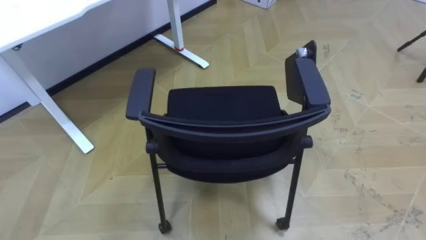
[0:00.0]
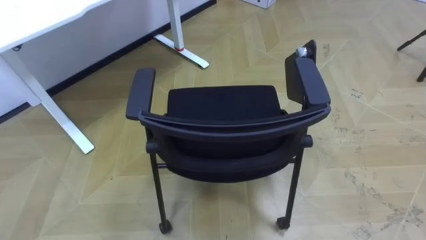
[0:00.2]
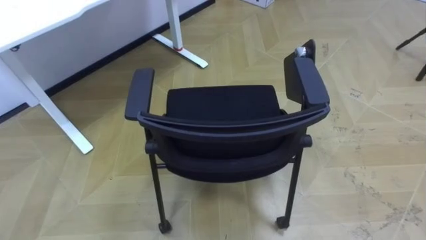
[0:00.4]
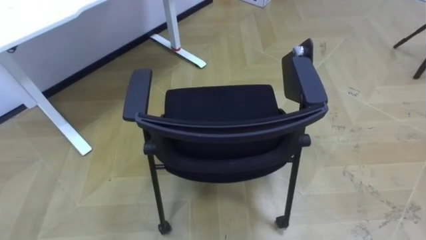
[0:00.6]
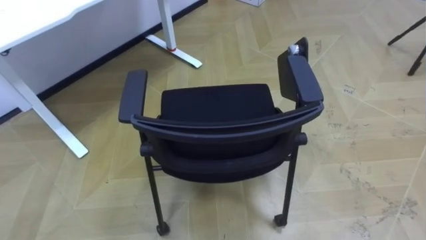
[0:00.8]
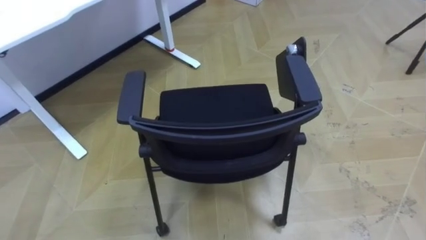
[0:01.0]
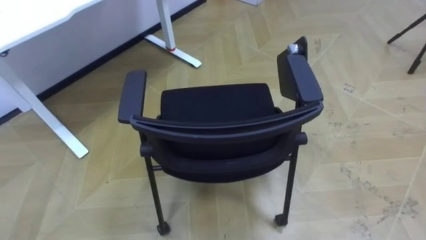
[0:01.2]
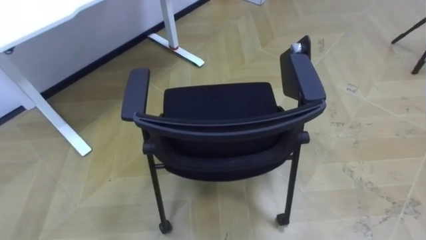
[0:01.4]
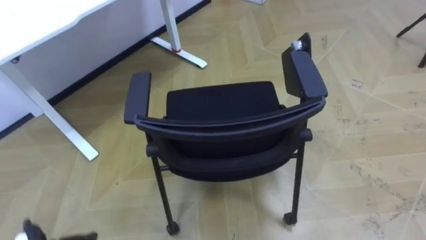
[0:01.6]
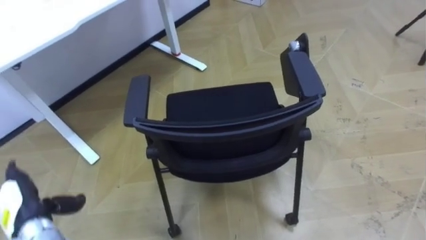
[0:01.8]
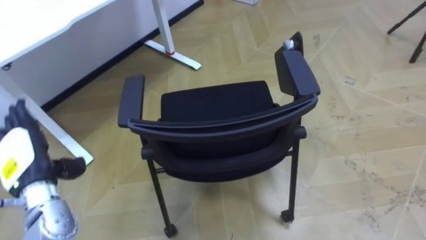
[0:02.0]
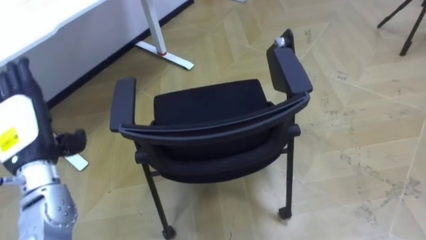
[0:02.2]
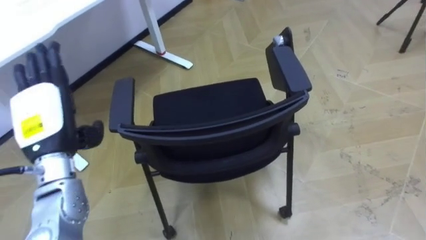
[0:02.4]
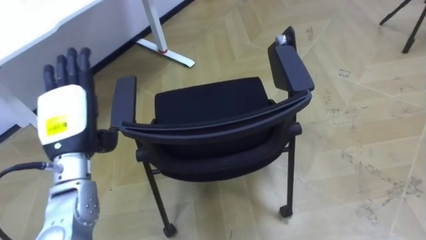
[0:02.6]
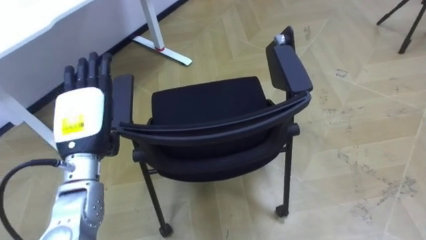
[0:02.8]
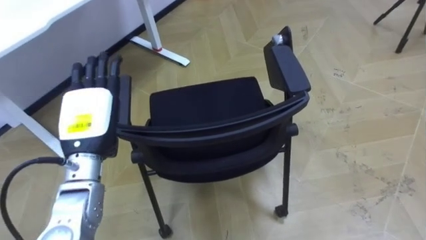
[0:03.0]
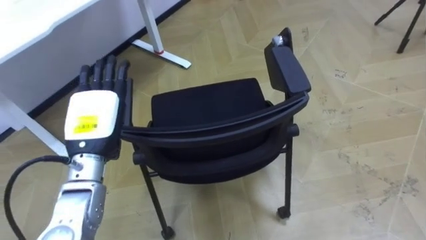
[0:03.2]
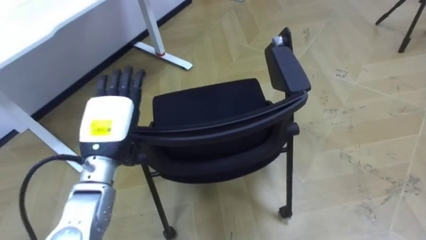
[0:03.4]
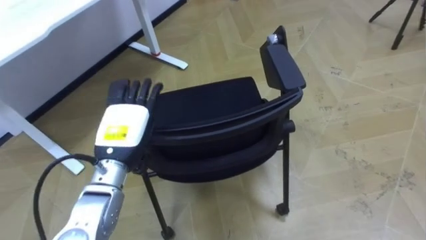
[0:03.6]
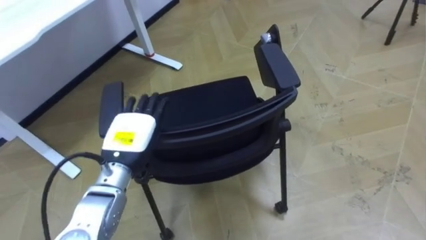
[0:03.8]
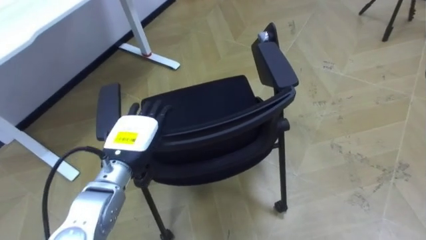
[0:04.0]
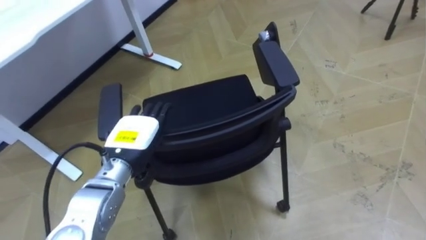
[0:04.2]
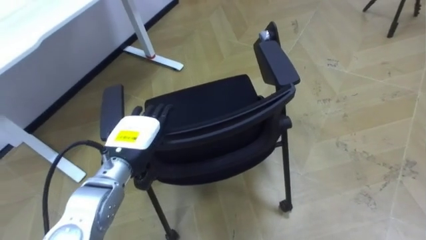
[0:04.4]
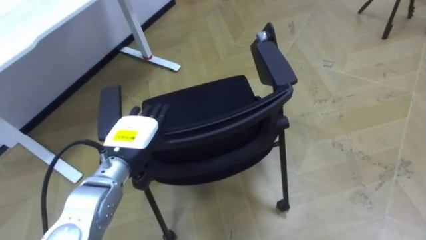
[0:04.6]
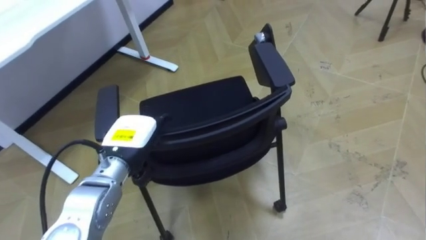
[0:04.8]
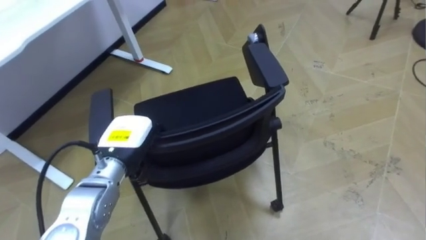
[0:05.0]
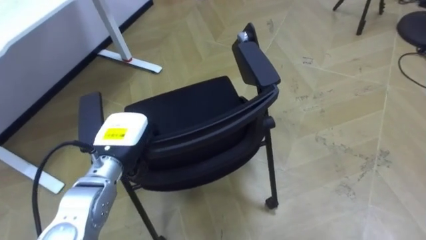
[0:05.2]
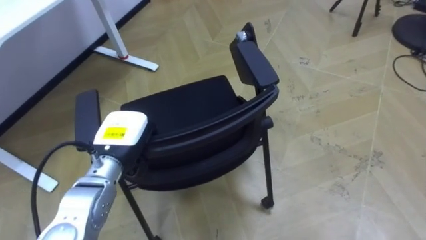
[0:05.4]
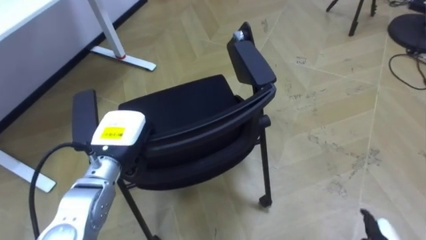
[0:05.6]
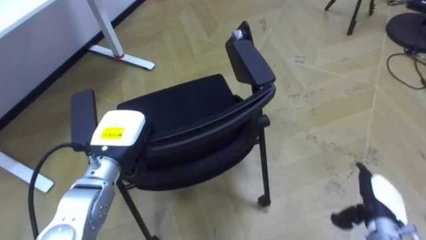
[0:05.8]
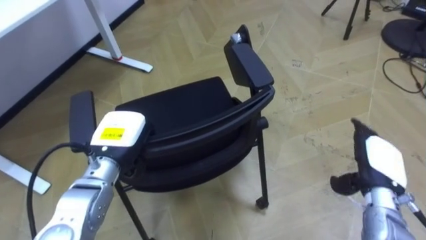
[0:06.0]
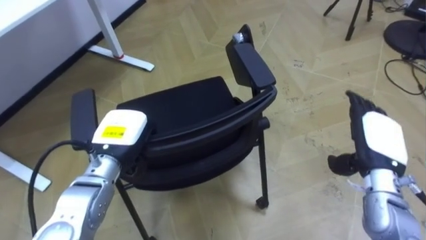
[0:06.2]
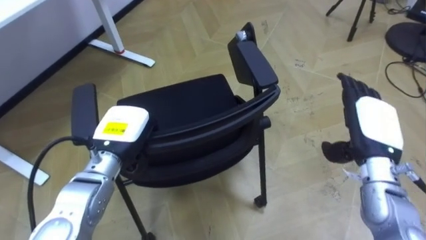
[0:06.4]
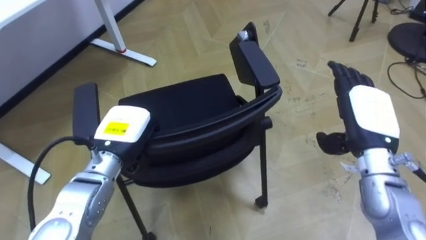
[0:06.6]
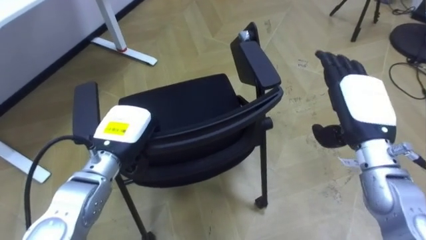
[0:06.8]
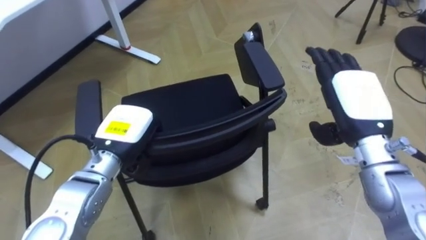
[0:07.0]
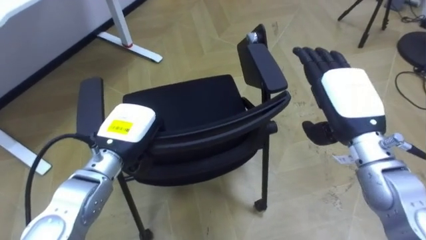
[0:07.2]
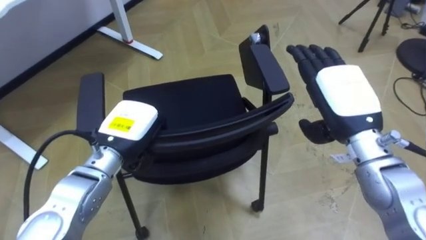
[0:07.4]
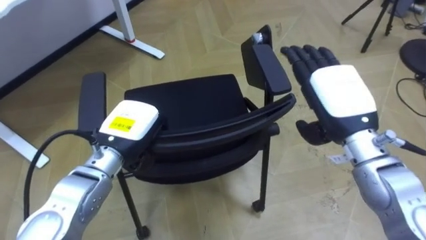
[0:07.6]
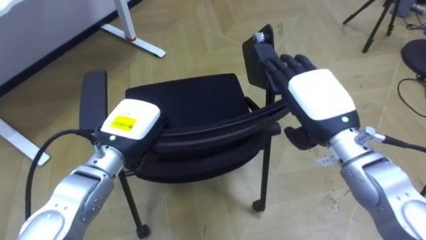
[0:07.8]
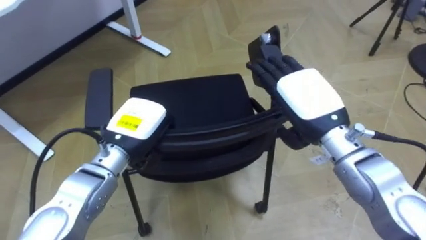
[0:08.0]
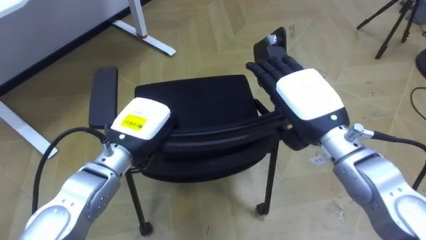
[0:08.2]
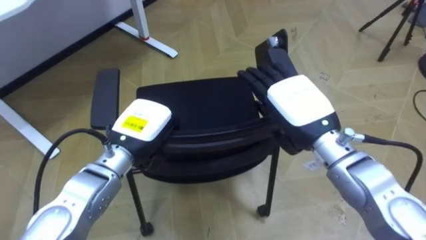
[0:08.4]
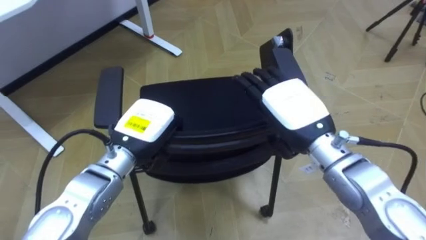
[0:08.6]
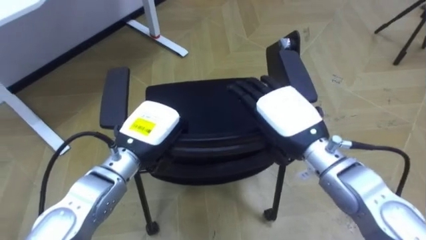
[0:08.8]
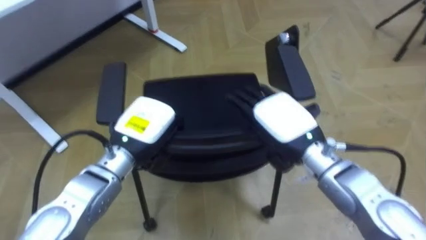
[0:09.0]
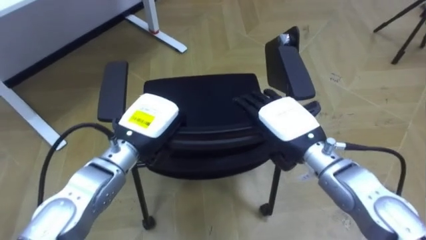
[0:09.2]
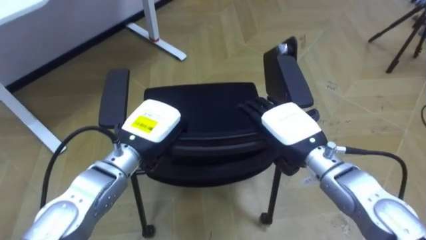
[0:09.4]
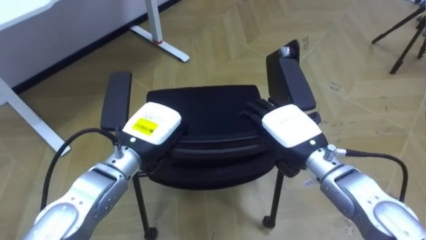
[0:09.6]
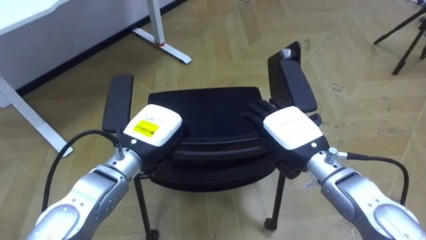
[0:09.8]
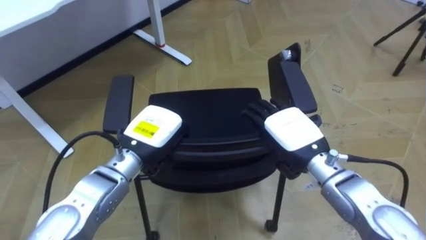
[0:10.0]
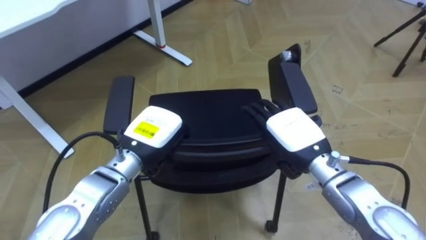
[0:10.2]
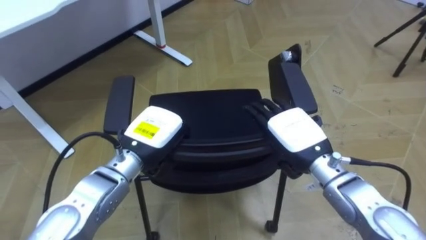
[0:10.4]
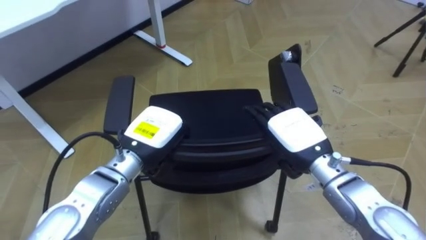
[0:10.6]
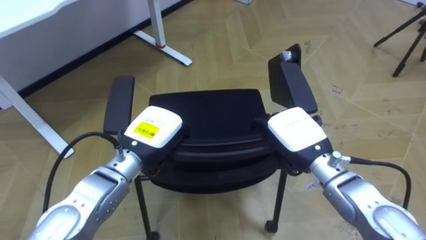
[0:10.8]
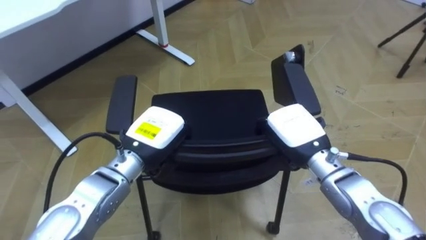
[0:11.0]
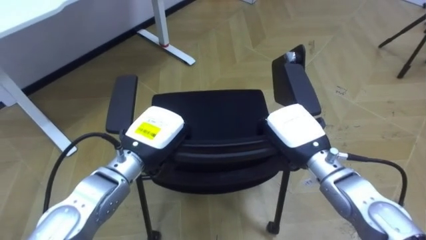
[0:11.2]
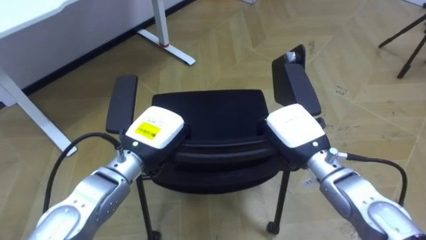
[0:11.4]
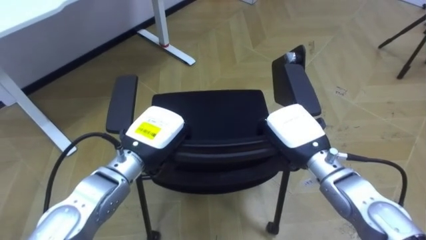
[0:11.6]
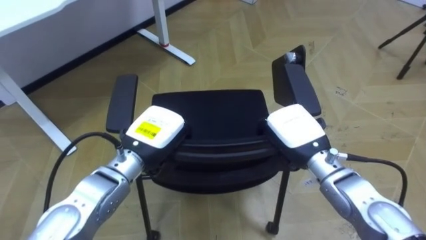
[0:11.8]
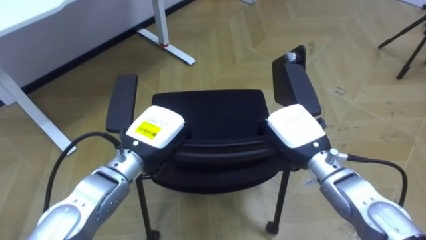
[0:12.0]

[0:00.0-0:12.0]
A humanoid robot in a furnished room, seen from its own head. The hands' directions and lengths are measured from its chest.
Task of the whole recording: Push the chair under the table.
0:03.0 to 0:04.4: The left hand heads to the right and downward, covering about 10 cm.
0:04.4 to 0:06.0: The left hand closes.
0:06.0 to 0:07.6: The right hand shifts about 20 cm upward and to the left.
0:07.6 to 0:09.0: The right hand goes some 10 cm to the left.
0:09.0 to 0:10.4: The right hand travels downward by approximately 5 cm.
0:10.4 to 0:12.0: The right hand closes its fingers.

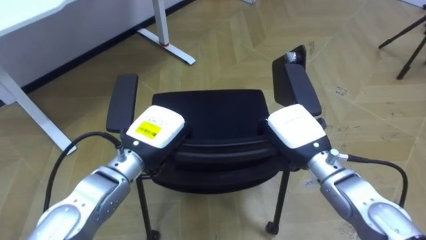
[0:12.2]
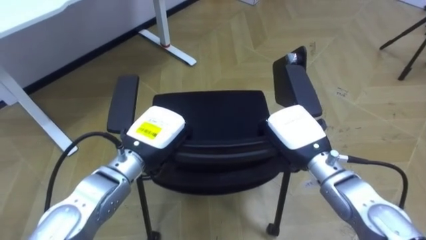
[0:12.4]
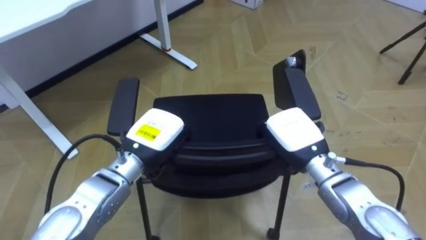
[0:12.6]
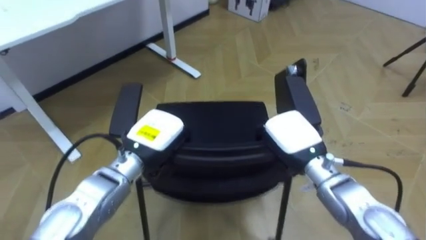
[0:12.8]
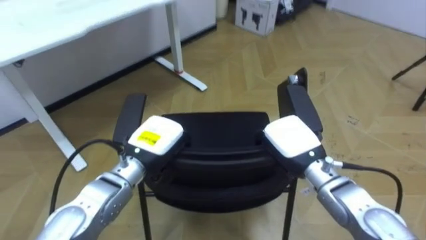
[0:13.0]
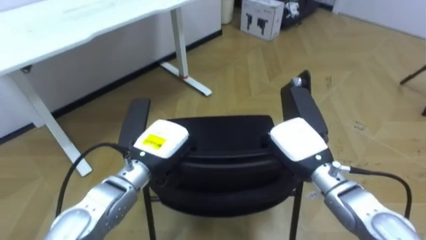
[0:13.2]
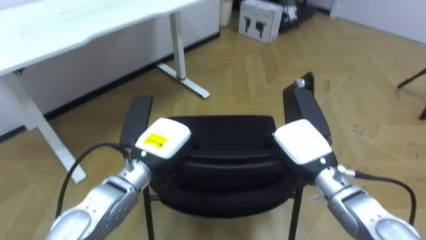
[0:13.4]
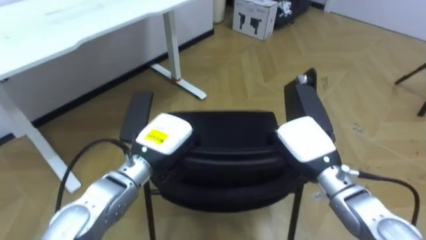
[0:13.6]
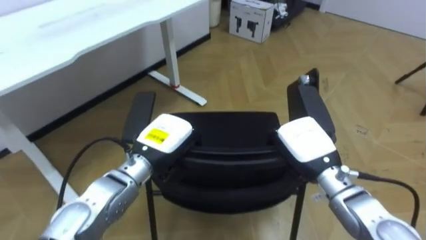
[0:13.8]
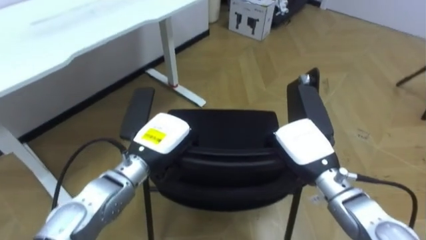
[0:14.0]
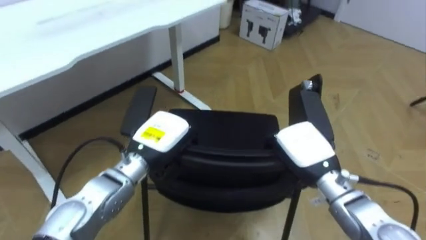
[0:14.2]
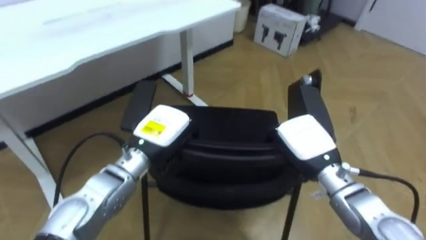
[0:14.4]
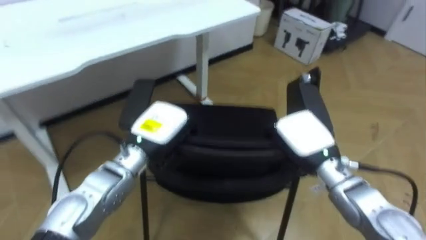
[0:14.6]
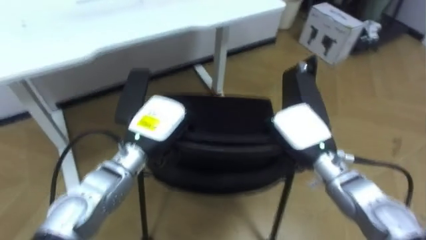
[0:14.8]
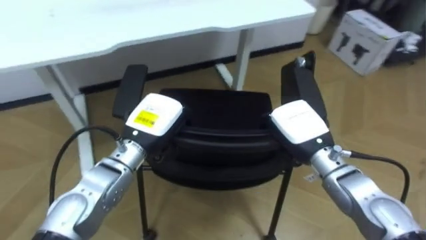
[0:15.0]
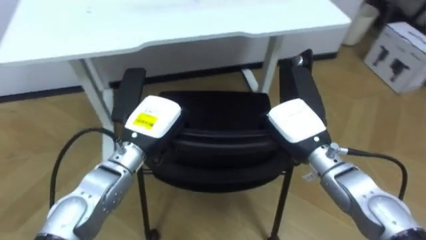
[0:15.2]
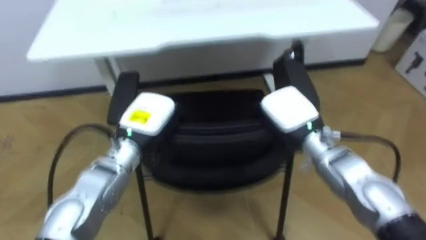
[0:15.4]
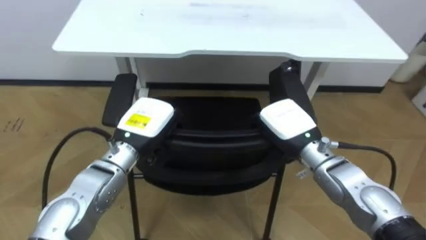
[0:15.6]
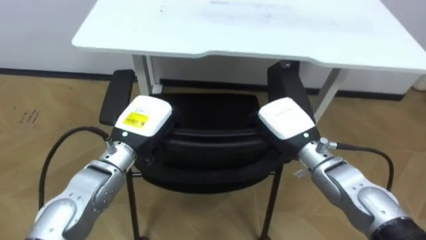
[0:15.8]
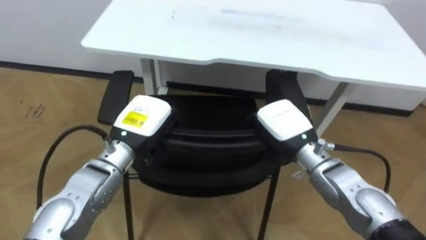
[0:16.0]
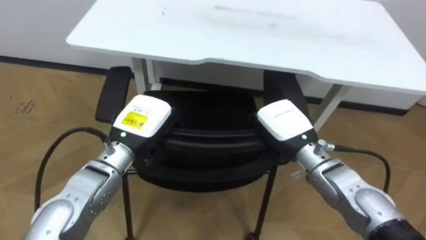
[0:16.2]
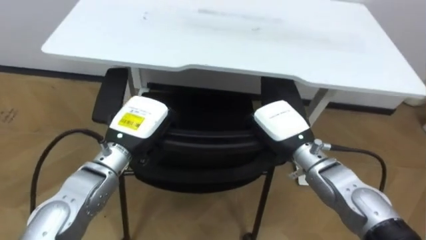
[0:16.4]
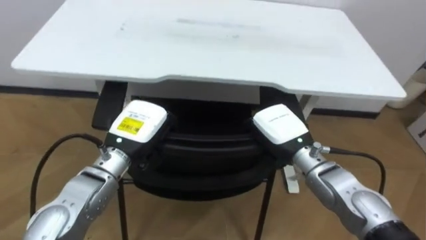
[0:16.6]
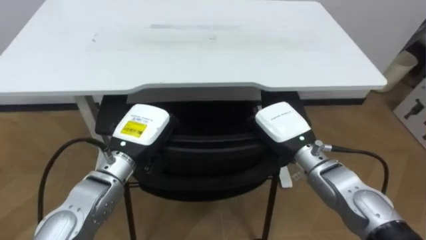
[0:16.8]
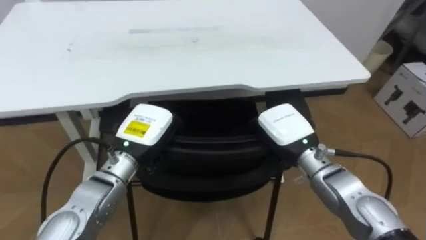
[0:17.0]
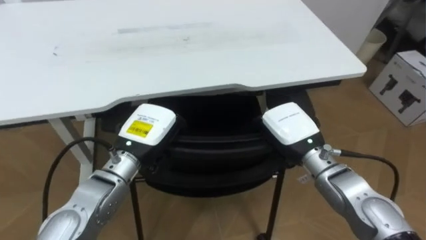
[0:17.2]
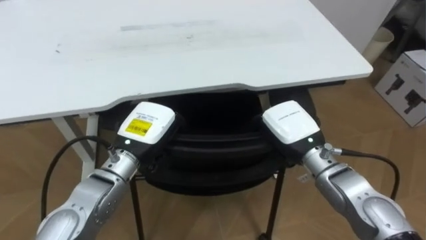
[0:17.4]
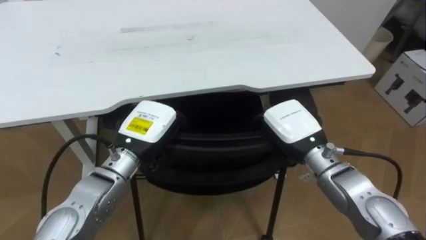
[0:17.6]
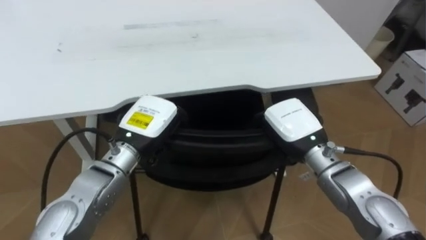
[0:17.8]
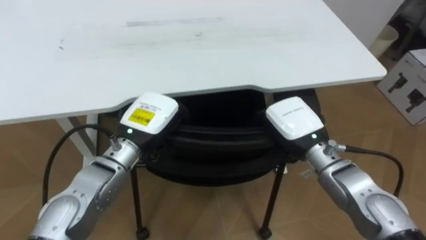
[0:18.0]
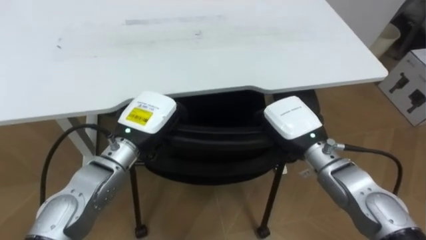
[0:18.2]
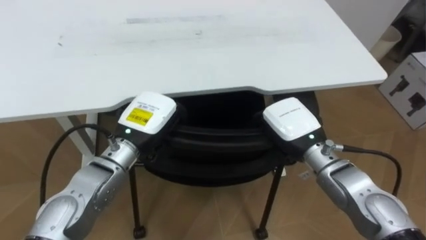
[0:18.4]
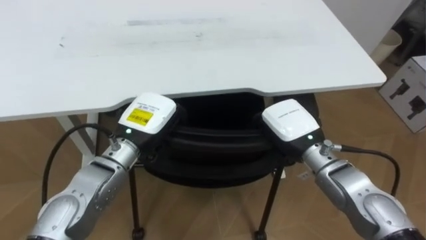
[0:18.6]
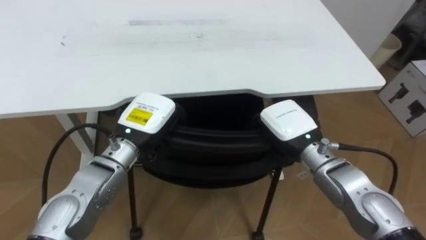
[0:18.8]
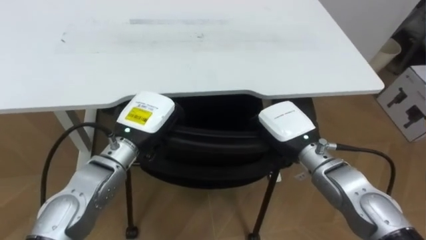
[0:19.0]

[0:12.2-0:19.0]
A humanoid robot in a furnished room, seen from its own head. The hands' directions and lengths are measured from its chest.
Task of the whole recording: Push the chair under the table.
0:13.6 to 0:15.0: The robot turns to its left by about 25 degrees.
